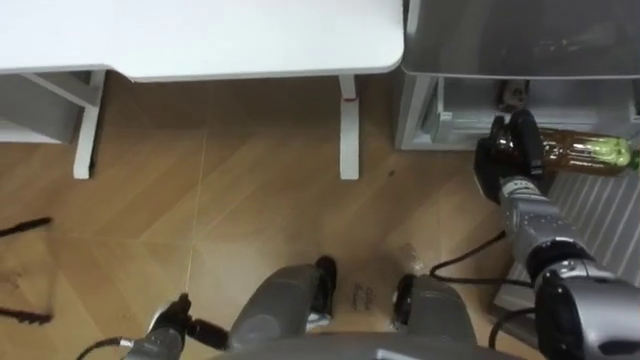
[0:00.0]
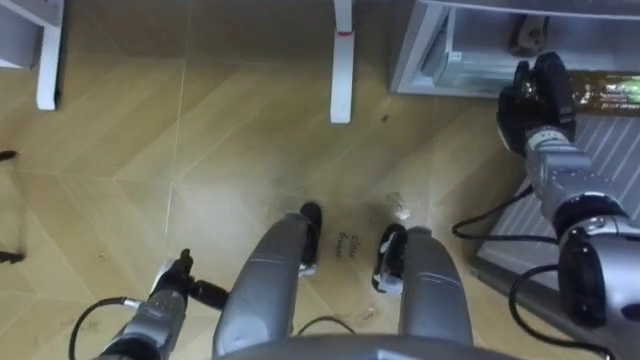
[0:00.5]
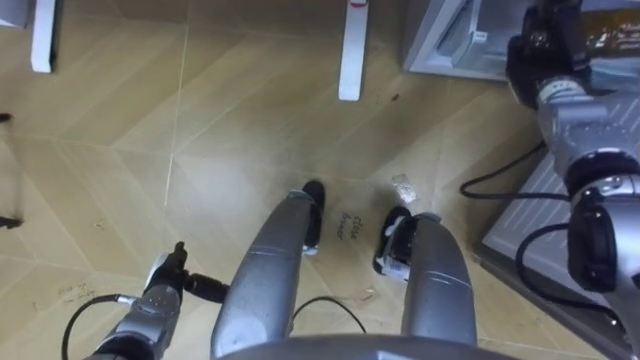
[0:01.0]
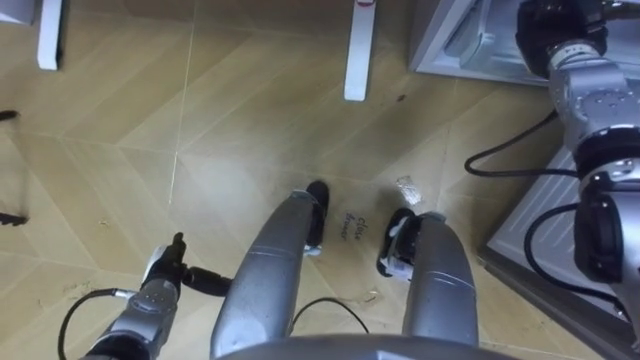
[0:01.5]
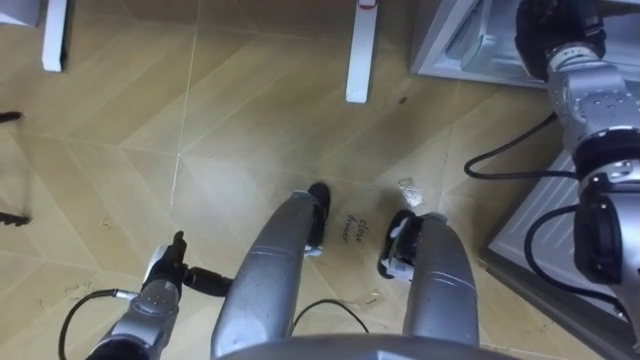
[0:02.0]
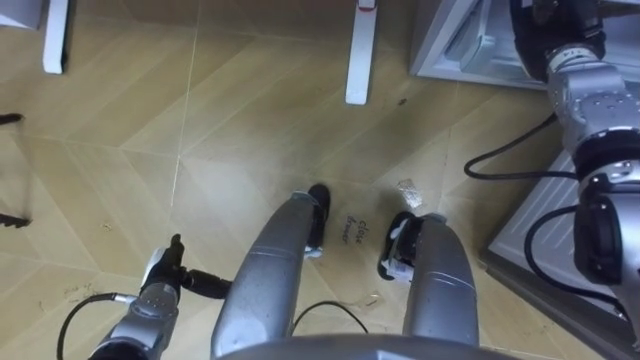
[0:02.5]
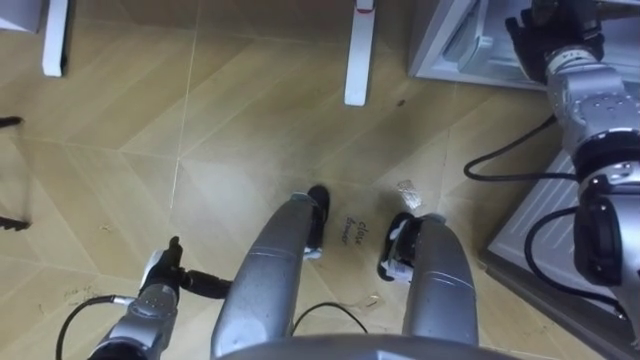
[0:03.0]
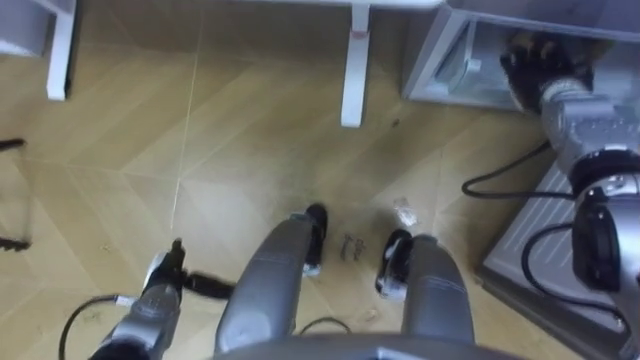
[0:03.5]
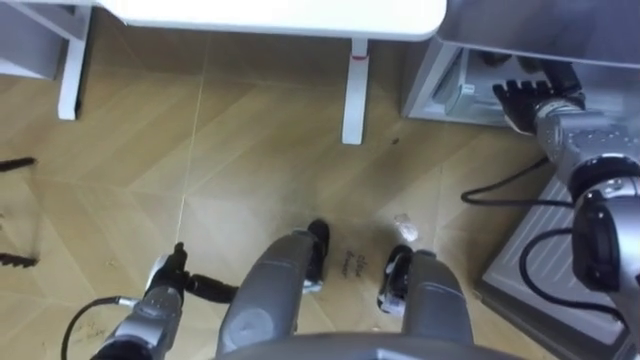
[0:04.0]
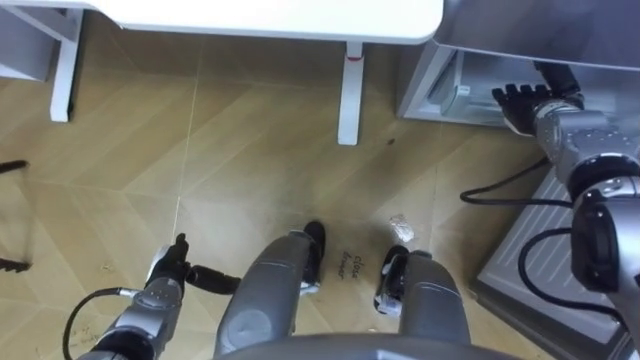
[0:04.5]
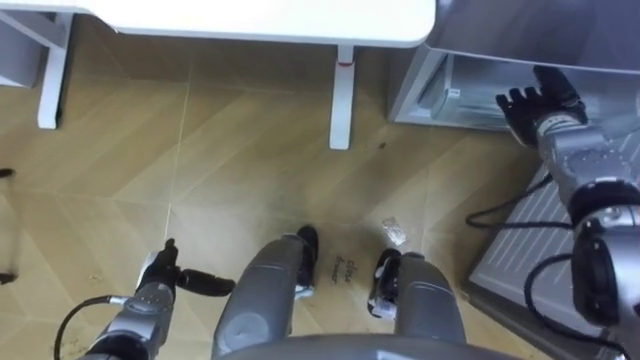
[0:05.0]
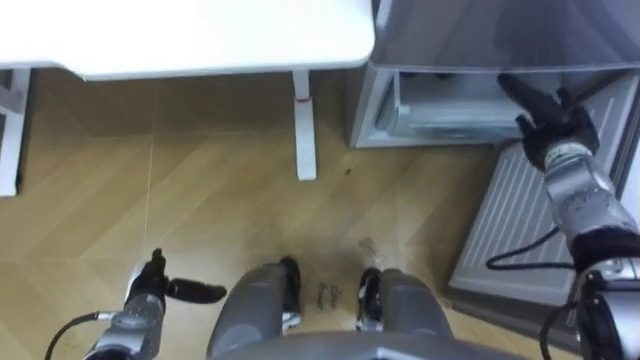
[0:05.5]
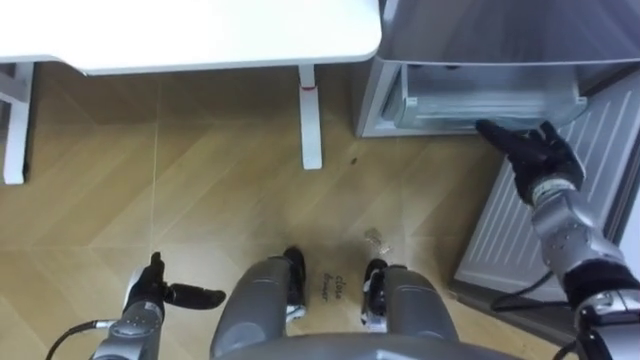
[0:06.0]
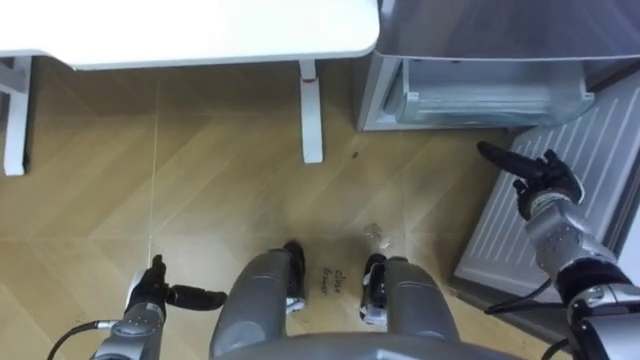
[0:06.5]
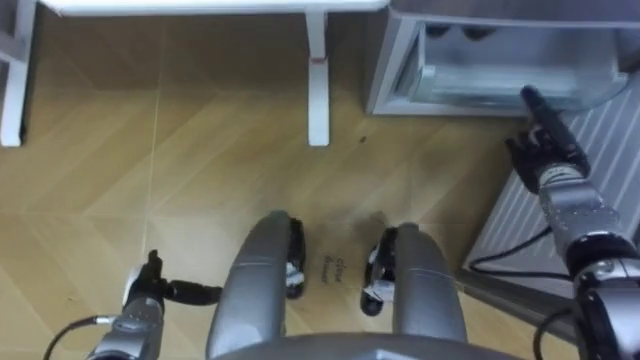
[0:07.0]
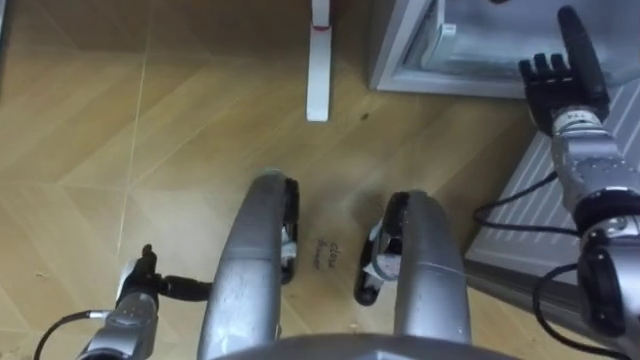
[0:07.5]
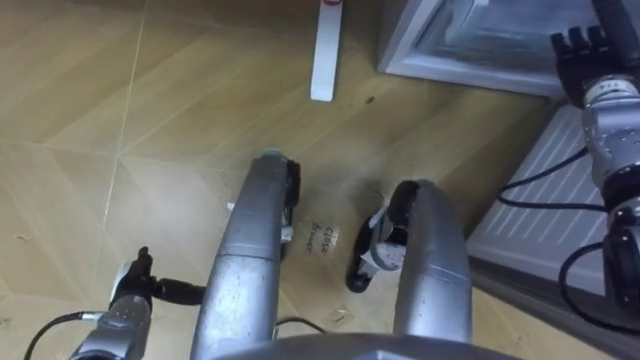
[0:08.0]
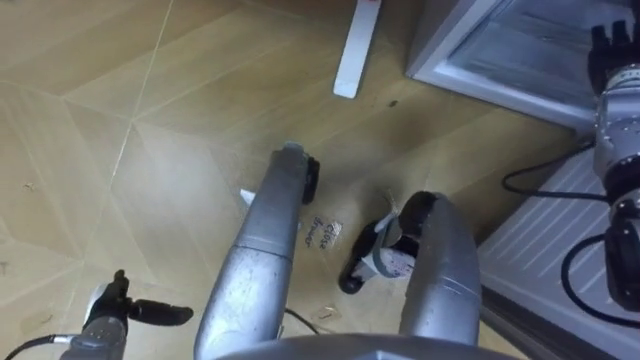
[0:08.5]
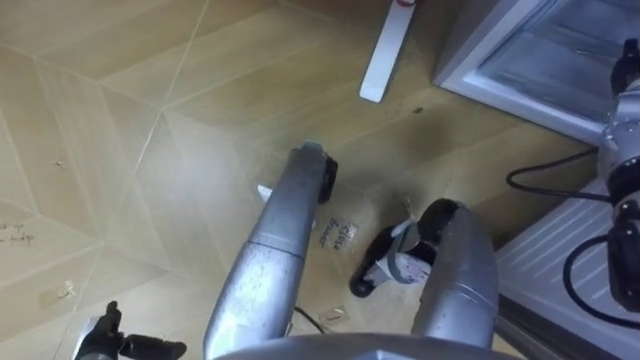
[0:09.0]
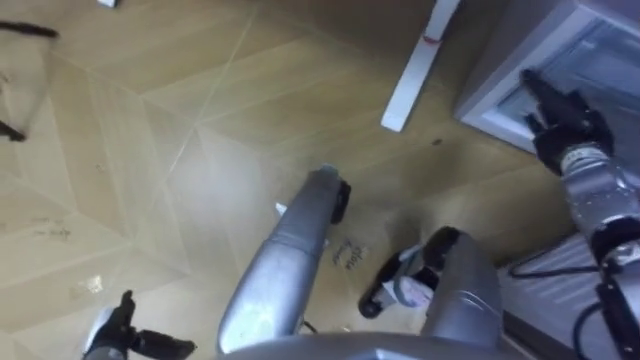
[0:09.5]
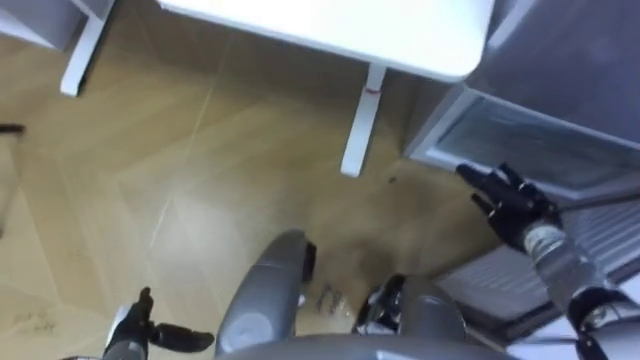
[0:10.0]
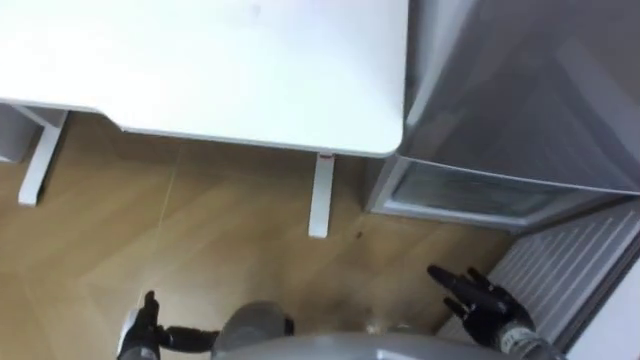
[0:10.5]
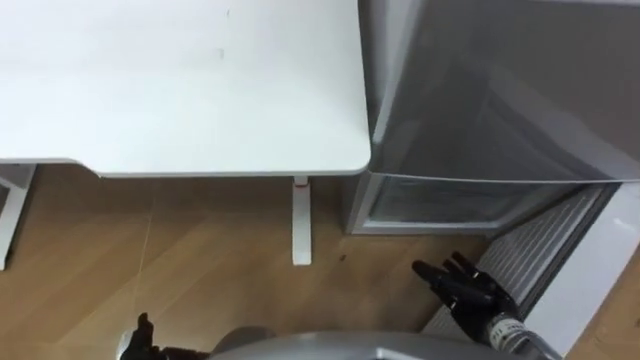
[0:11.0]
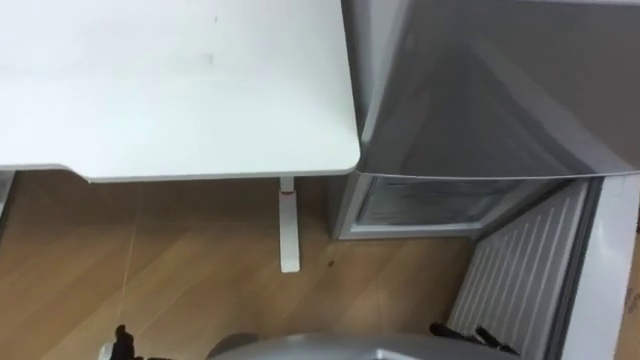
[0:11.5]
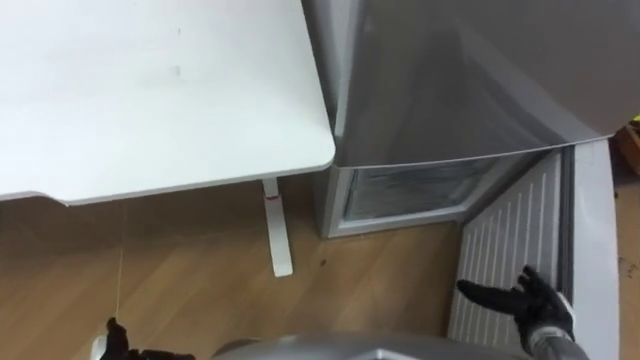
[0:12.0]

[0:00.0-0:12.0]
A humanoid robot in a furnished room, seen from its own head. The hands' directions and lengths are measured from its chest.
Task of the whole recording: Place the drink on the table on the bottom shelf of the refrigerator, then close the drawer and the refrigerator door.
0.0 to 2.0 s: The left hand is displaced forward by approximately 10 cm; the right hand is displaced upward and forward by approximately 20 cm.
2.0 to 4.0 s: The right hand shifts some 5 cm downward, and opens its fingers.
4.0 to 6.0 s: The right hand shifts about 10 cm backward and downward.
6.0 to 8.0 s: The right hand shifts about 15 cm upward and forward.
8.0 to 10.0 s: The left hand moves backward, approximately 5 cm. The right hand is displaced downward and backward by about 20 cm.

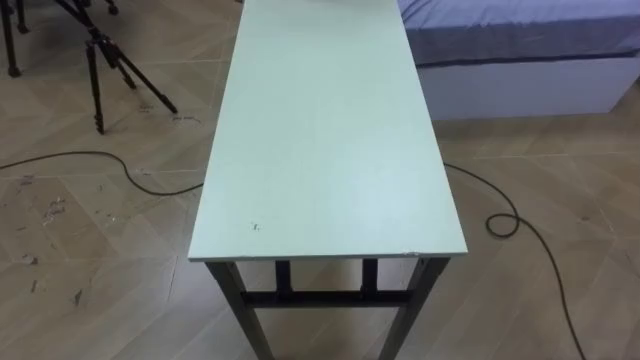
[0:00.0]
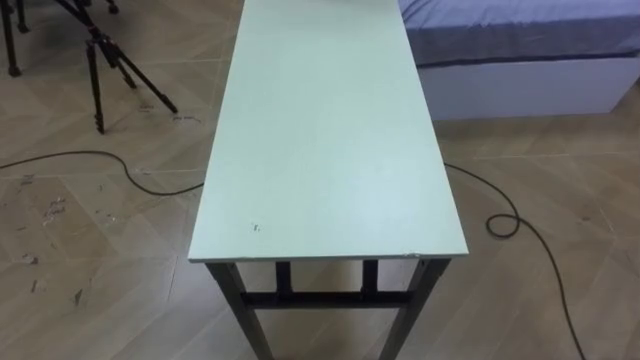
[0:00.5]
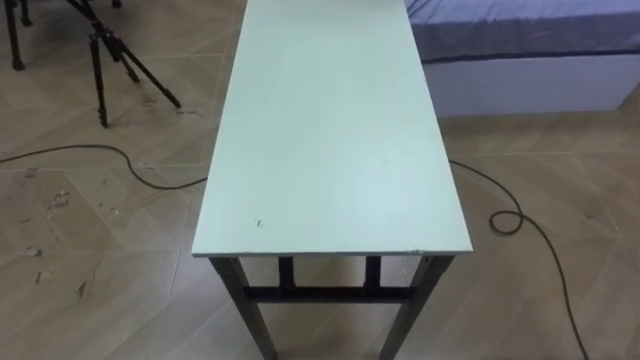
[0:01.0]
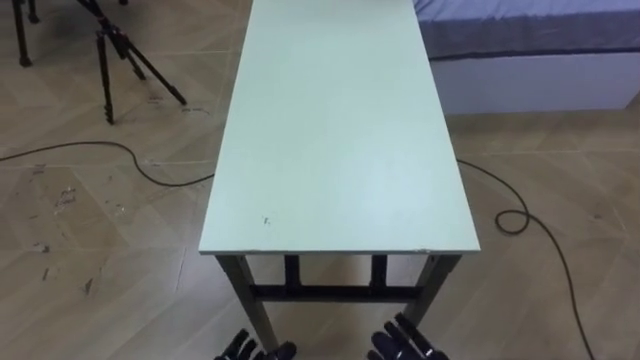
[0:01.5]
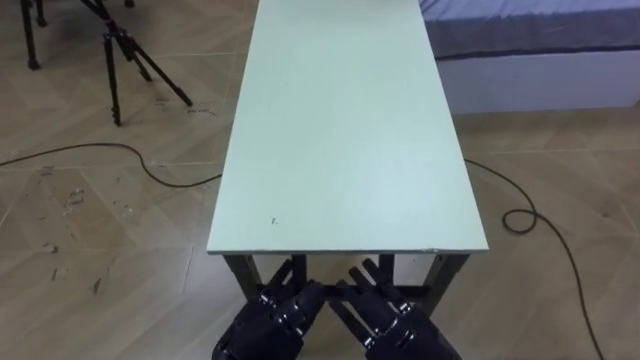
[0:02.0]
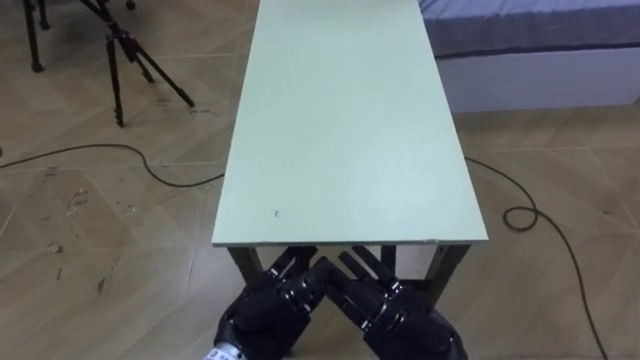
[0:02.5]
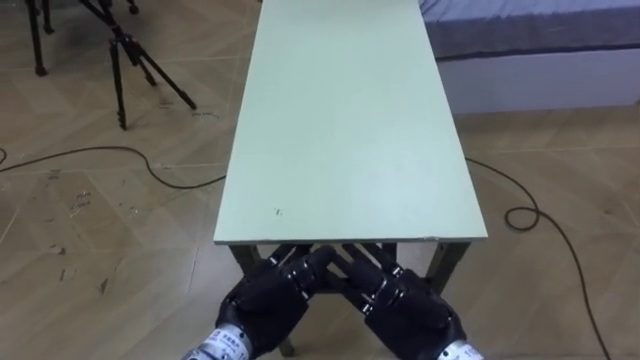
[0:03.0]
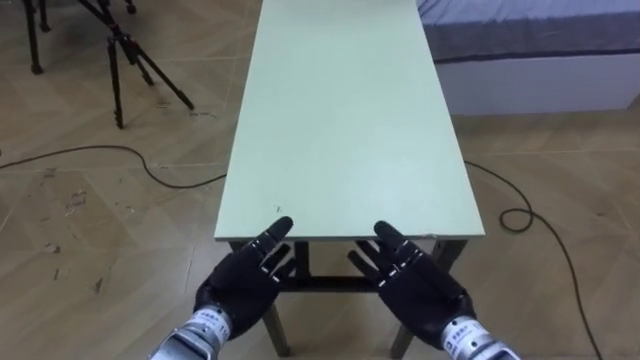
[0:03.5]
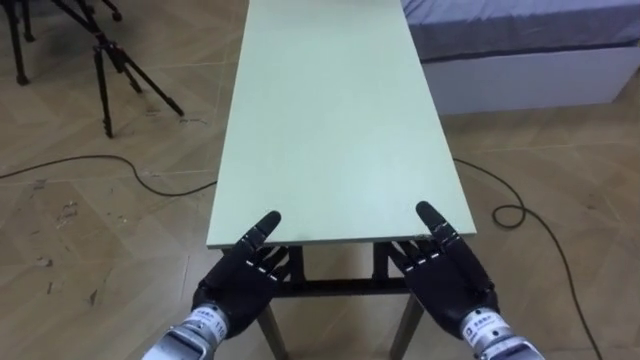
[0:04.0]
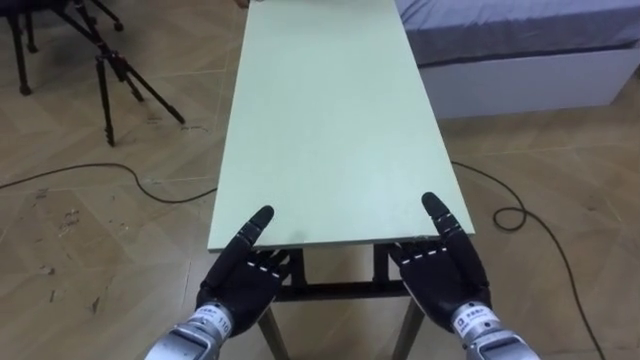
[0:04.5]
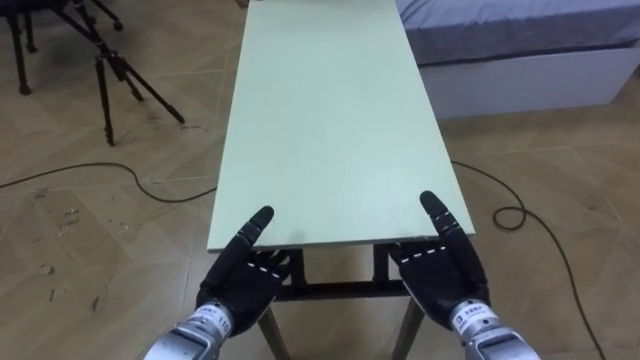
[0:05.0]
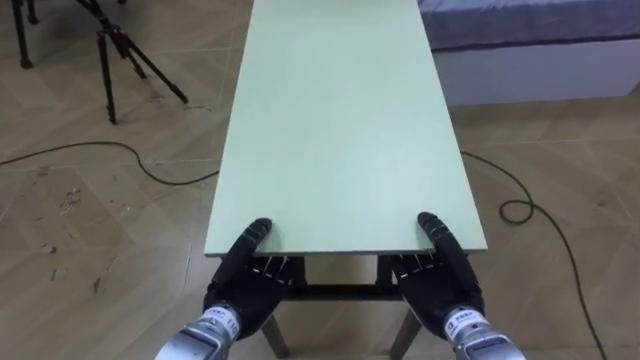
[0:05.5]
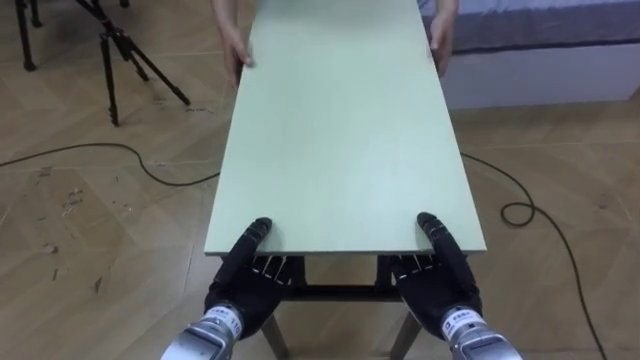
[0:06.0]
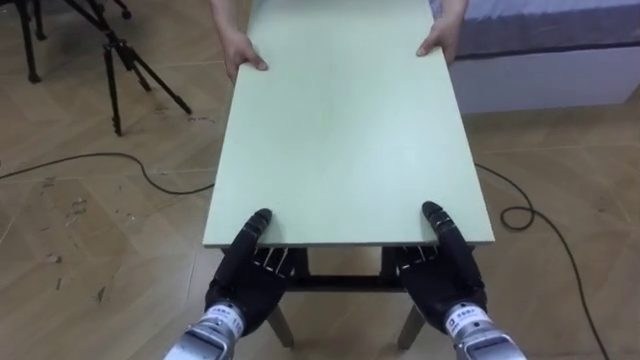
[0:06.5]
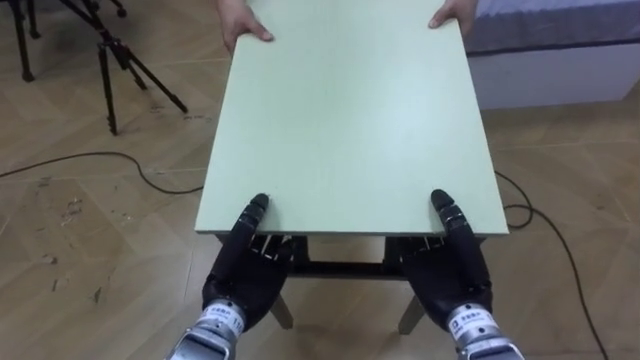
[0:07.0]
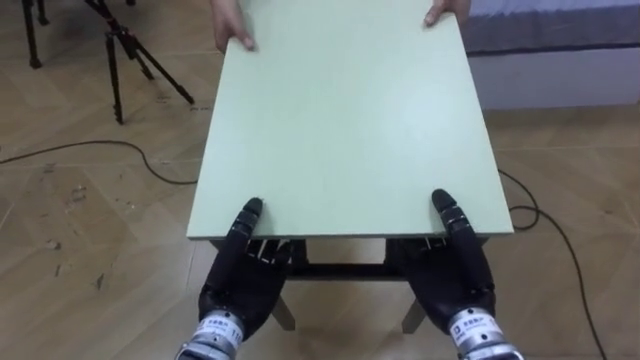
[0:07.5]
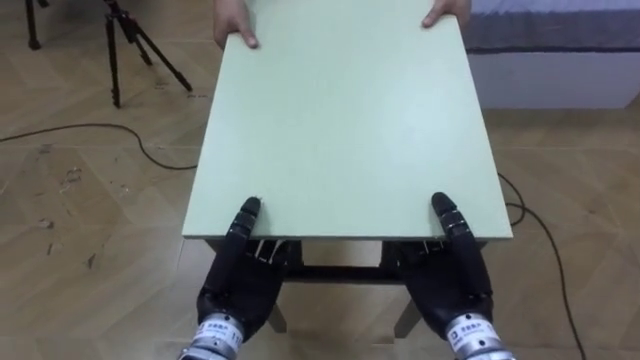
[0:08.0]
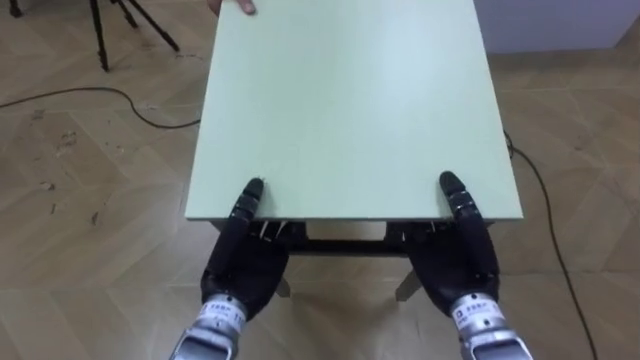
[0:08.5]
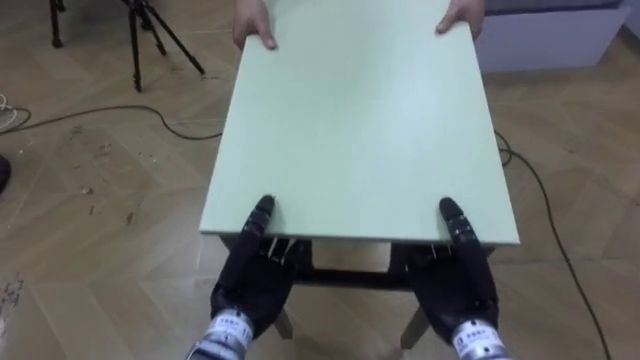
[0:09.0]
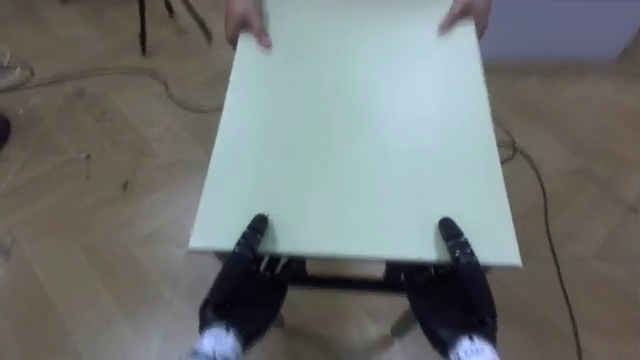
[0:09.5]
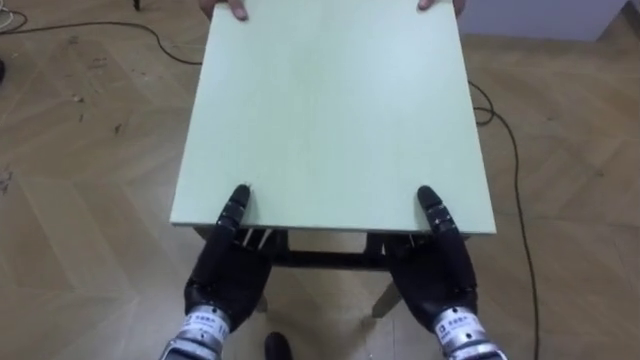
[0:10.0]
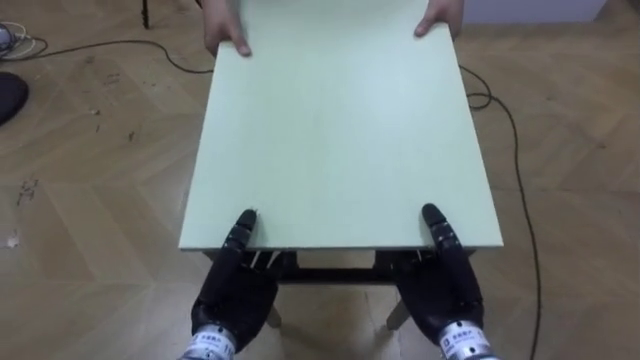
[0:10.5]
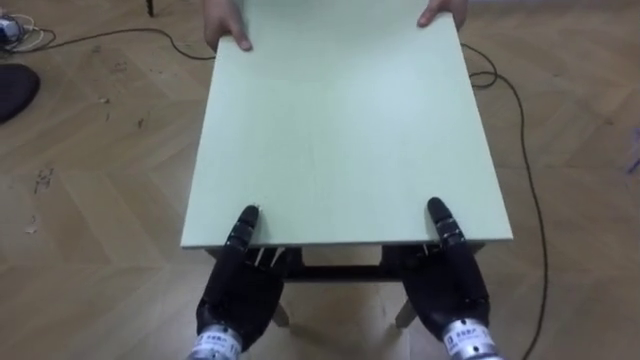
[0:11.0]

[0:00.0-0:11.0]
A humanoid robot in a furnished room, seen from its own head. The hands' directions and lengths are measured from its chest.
Task of the whole recording: Move the table to the back left with someone.
2.0 to 3.5 s: Both hands travel together forward, about 5 cm.
3.5 to 5.5 s: The right hand closes. The left hand closes its fingers.
5.5 to 7.5 s: The right hand goes about 5 cm upward.
